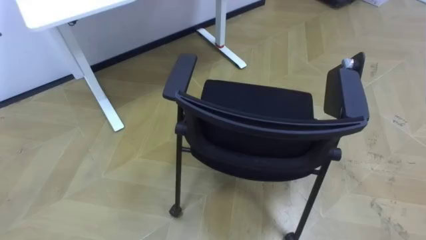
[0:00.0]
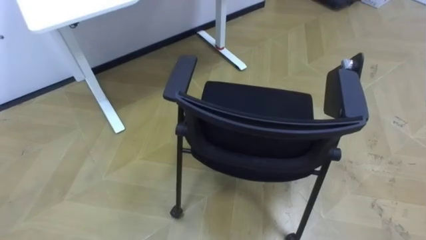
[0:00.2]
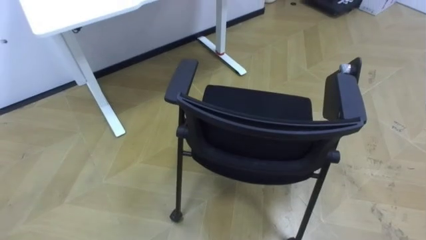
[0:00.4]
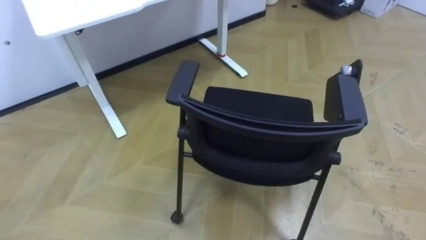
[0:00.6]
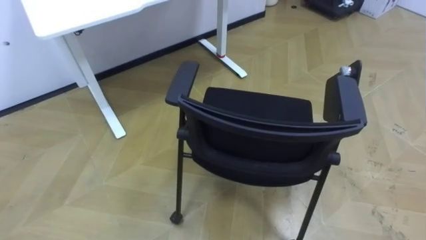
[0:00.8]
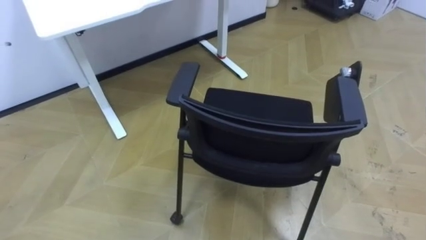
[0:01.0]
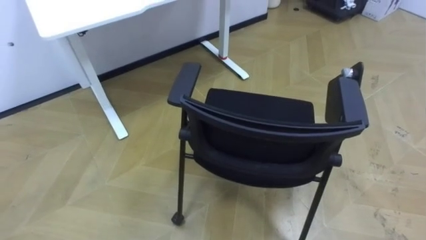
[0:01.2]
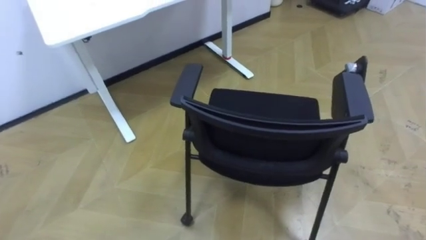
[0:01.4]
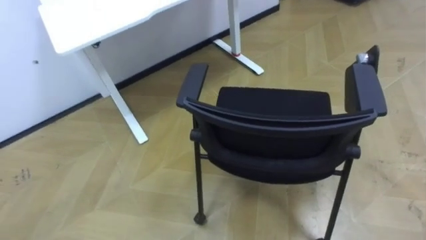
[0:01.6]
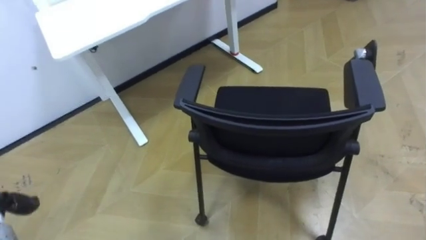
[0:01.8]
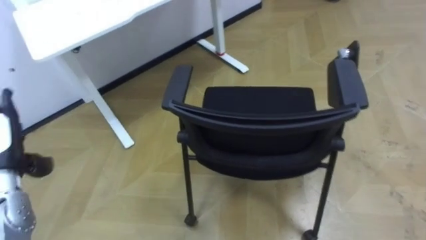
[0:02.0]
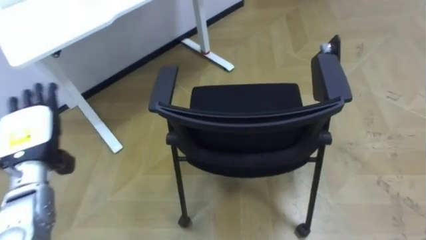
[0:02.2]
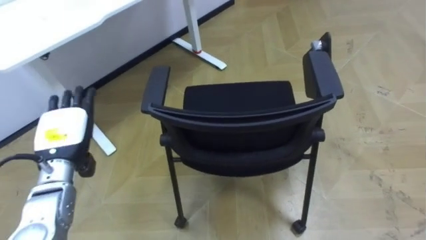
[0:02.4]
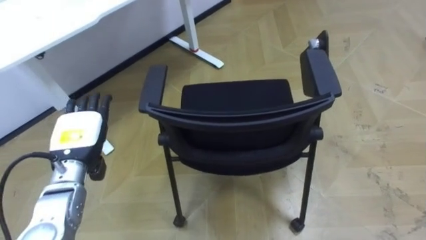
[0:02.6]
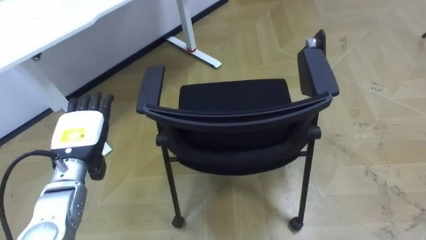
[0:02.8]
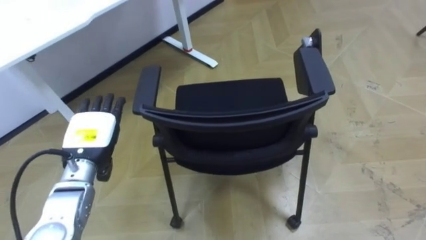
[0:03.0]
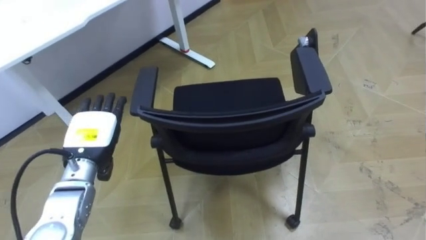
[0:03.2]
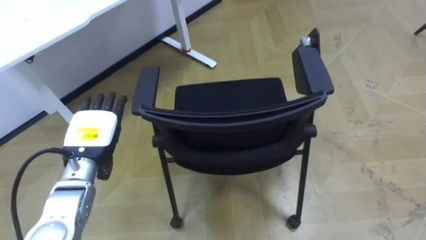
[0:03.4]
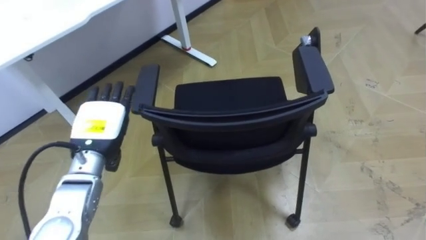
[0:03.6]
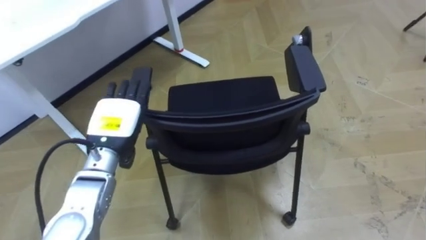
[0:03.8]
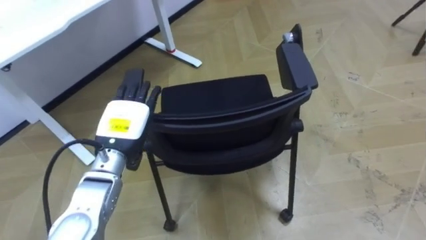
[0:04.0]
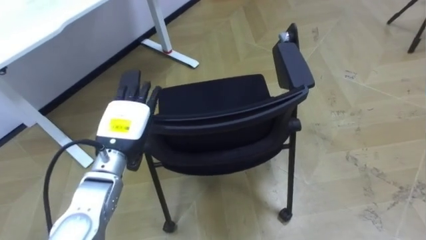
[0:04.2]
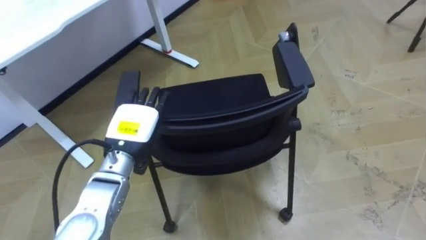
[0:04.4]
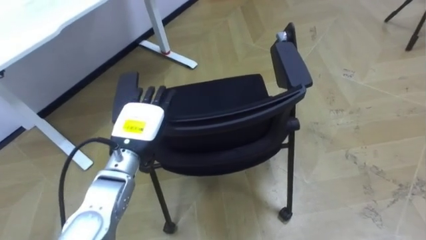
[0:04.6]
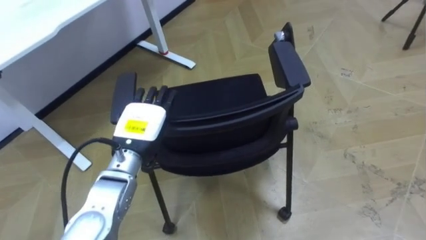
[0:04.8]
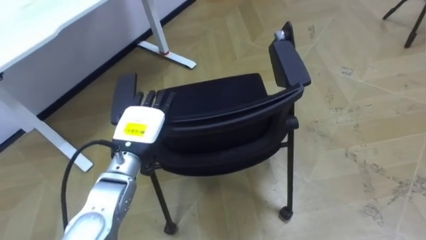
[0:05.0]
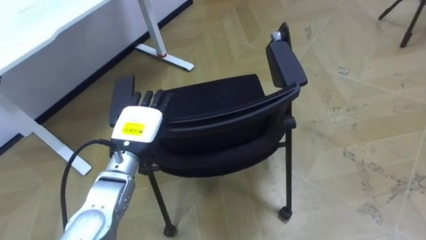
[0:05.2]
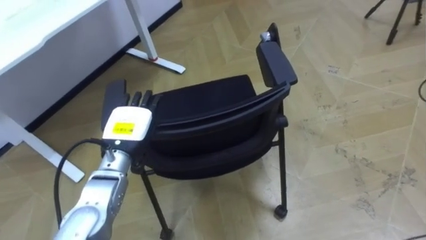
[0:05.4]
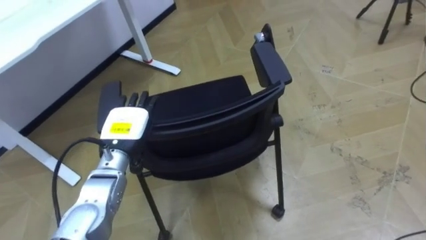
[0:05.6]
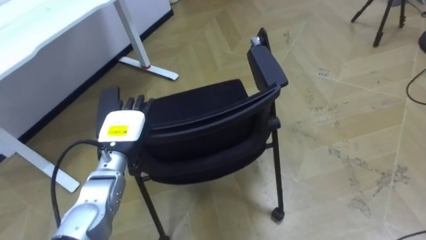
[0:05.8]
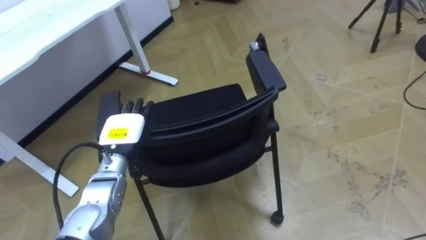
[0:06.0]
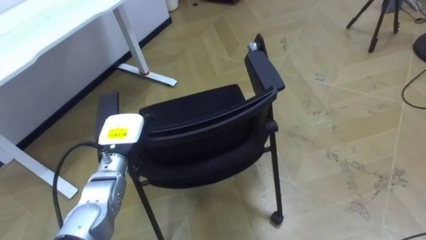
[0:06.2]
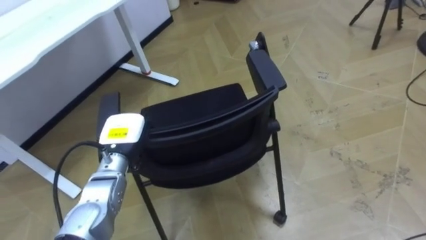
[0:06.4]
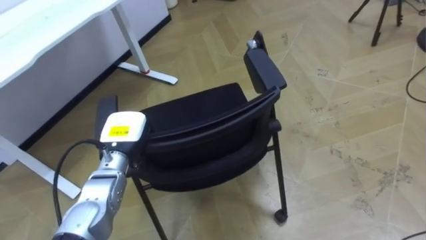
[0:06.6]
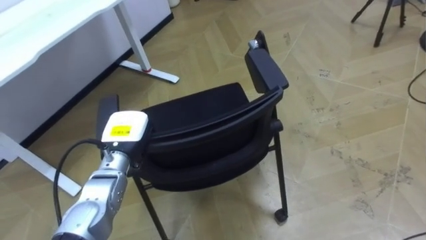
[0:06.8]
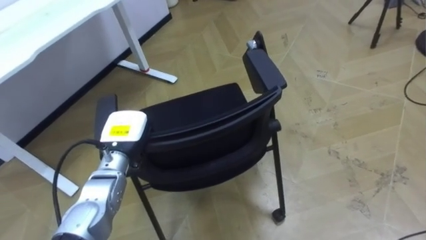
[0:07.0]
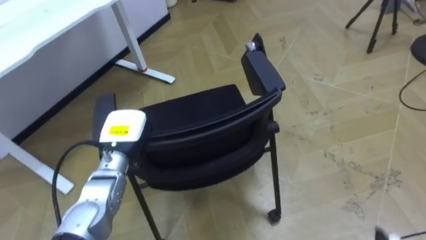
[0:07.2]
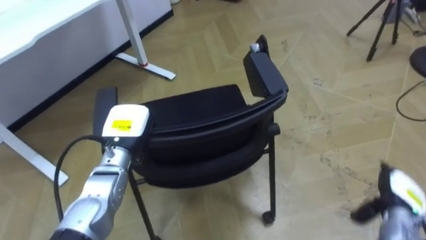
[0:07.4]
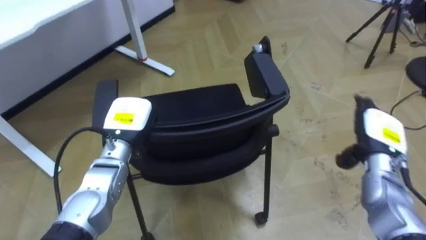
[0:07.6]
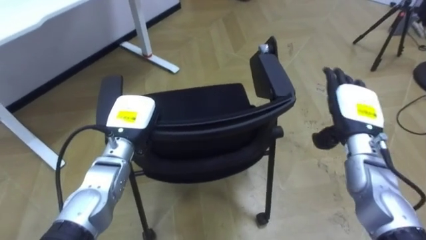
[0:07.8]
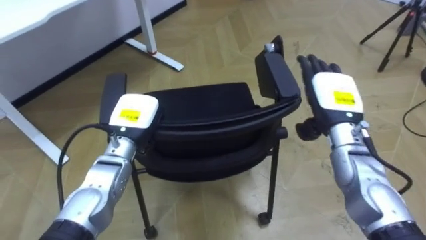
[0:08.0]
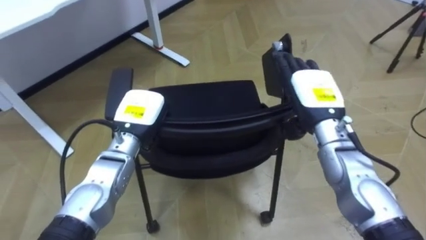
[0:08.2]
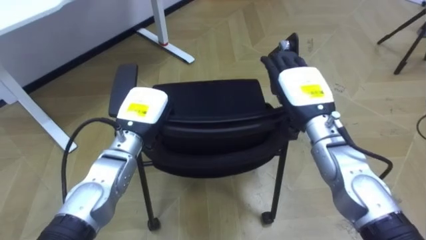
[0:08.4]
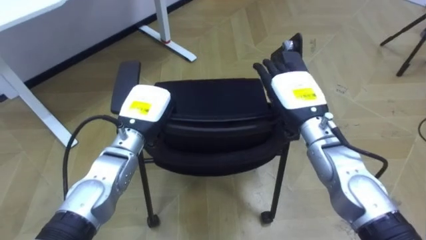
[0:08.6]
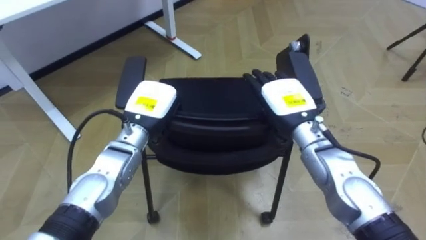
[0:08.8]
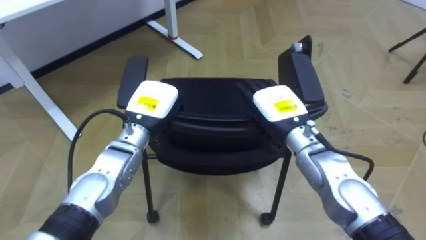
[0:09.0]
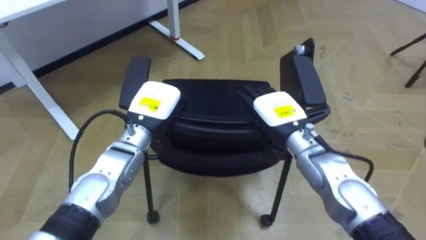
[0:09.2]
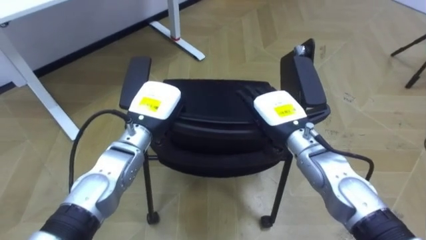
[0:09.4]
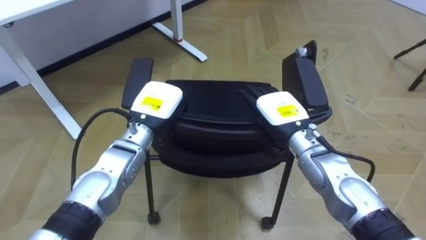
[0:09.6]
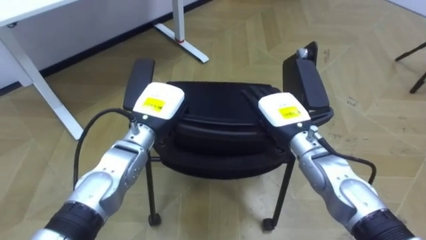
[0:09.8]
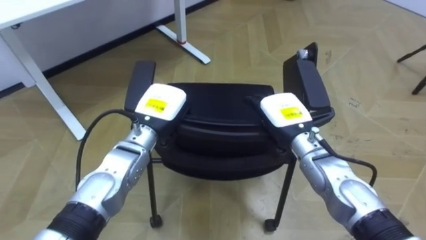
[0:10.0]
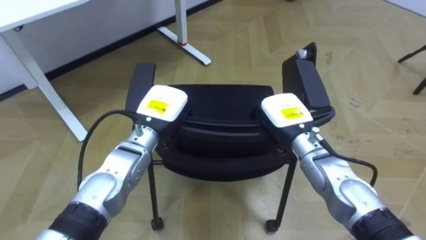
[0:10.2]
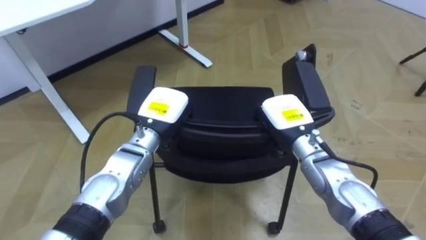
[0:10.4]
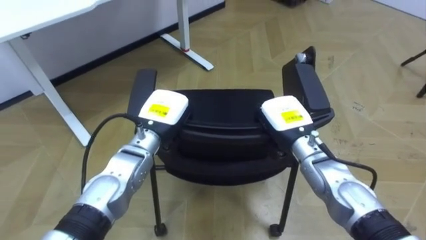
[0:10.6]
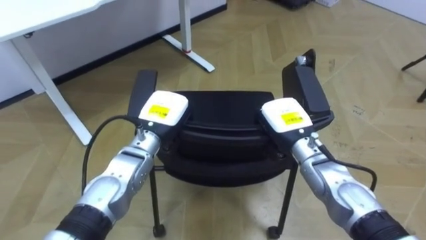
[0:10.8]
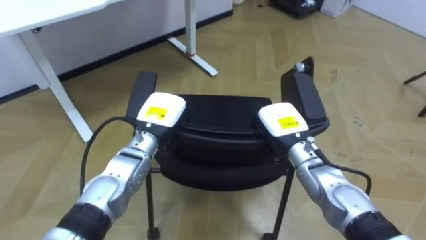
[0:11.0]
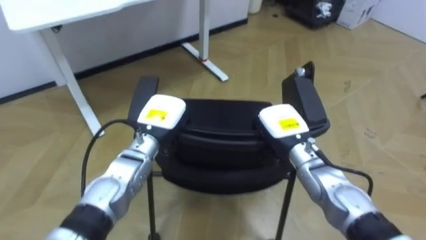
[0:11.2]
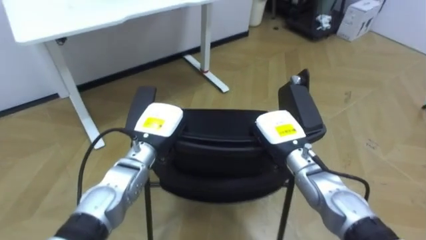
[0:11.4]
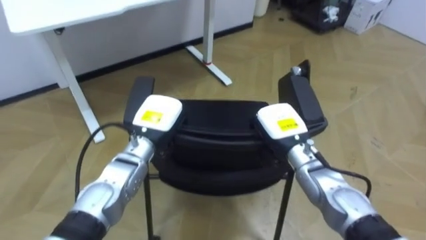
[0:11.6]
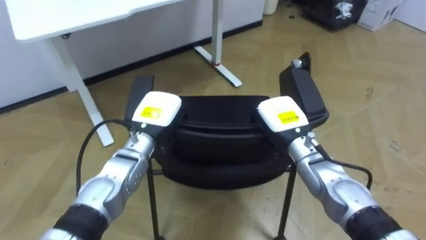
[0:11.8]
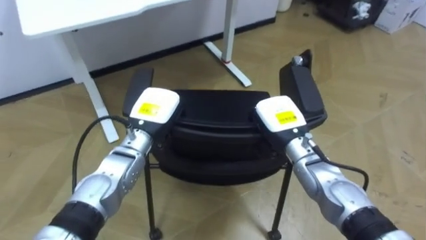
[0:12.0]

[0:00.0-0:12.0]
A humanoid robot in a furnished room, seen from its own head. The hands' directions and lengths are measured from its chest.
Task of the whole recording: Push the chair under the table.
0:03.0 to 0:04.4: The left hand is displaced to the right by about 10 cm.
0:04.4 to 0:06.0: The left hand changes place by roughly 5 cm.
0:06.0 to 0:07.6: The left hand closes up.
0:07.6 to 0:09.0: The right hand shifts about 20 cm to the left. Meanwhile the left hand moves some 5 cm.
0:09.0 to 0:10.4: The right hand closes up.

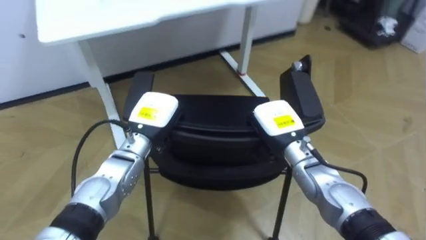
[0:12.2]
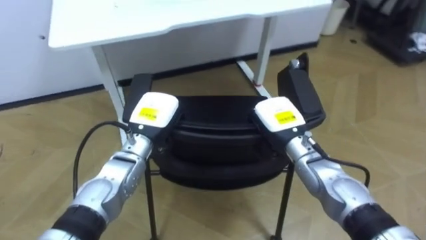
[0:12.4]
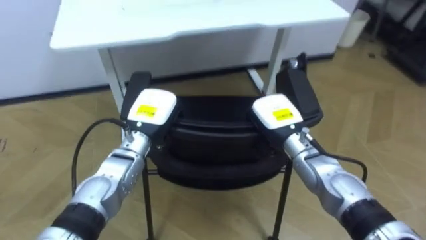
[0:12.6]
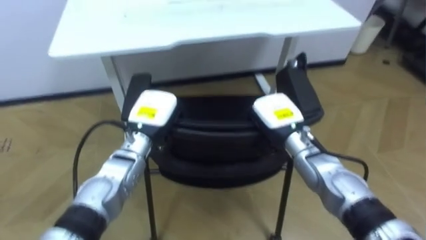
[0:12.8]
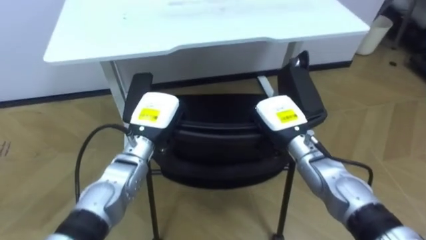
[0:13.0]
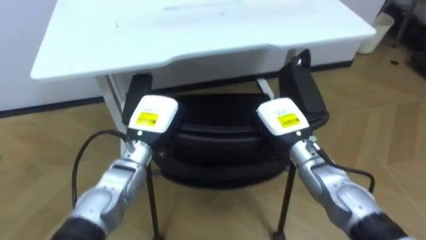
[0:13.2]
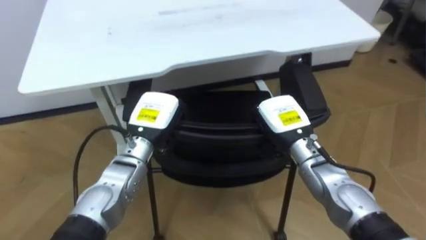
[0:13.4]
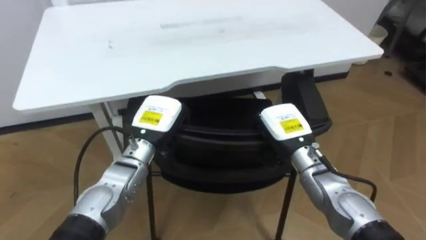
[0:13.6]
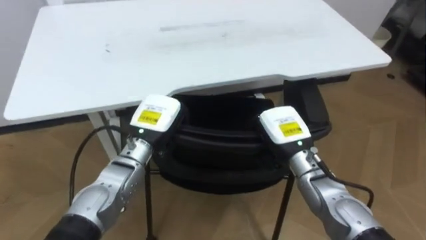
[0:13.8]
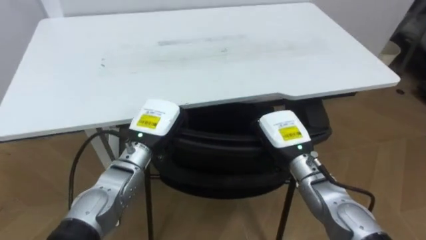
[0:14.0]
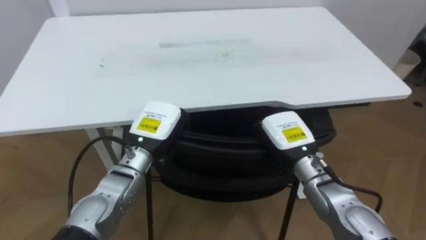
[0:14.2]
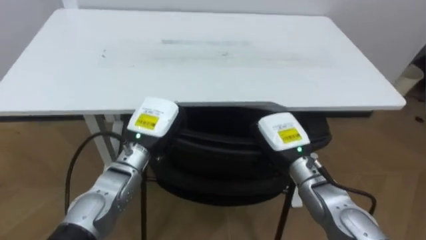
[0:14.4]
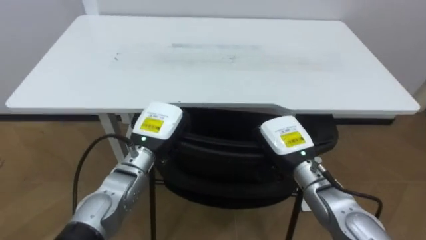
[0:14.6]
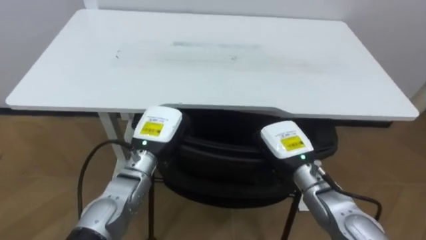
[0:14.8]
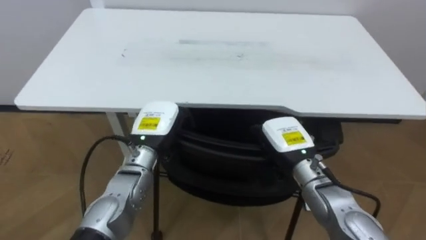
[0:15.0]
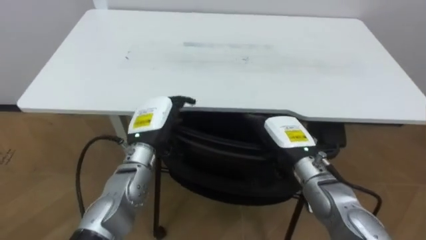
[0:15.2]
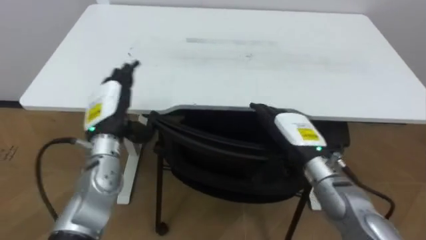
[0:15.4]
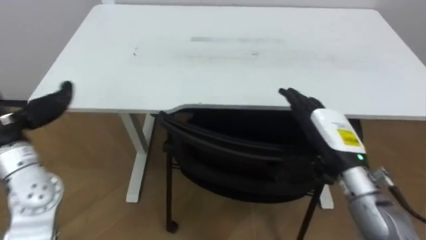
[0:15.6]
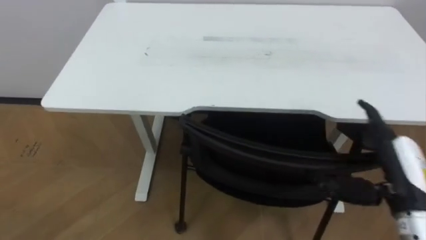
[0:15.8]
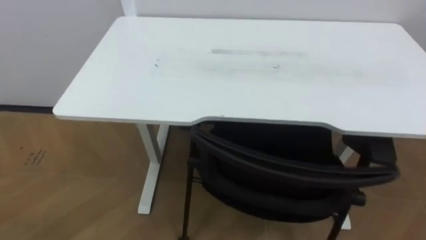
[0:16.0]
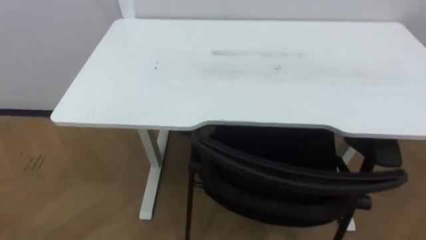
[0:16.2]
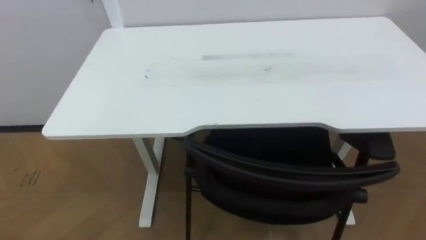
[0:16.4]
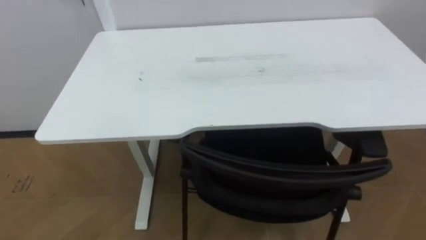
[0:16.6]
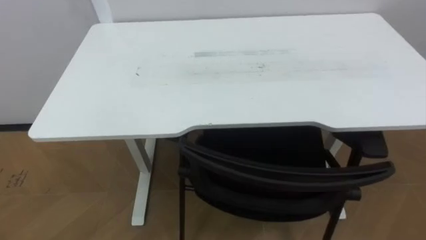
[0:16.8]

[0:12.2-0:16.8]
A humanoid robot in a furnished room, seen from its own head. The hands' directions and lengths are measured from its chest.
Task of the whole recording: Push the chair under the table.
0:13.8 to 0:15.2: The robot's body swings roughly 20 degrees to its left. The left hand opens its fingers, while the right hand opens.
